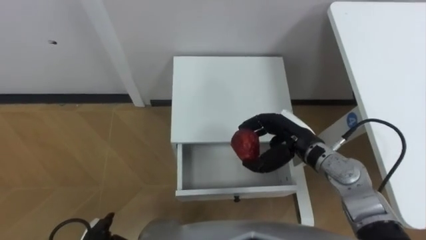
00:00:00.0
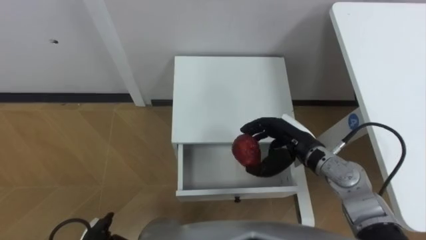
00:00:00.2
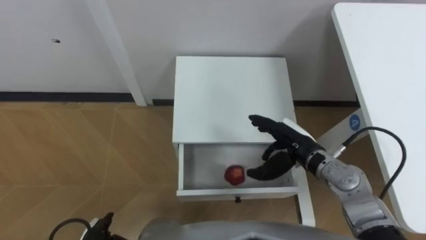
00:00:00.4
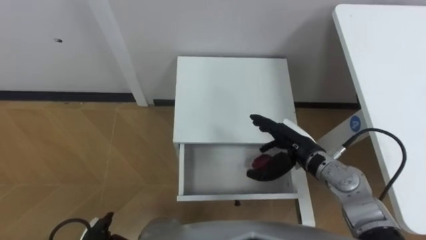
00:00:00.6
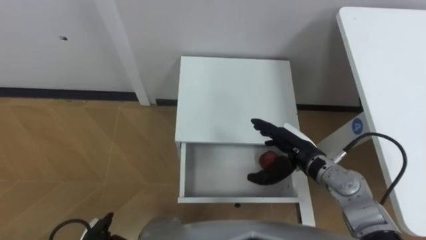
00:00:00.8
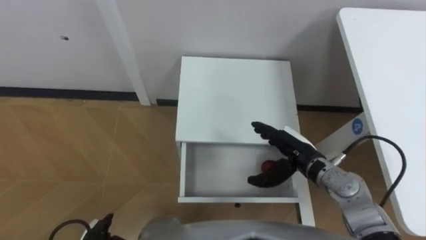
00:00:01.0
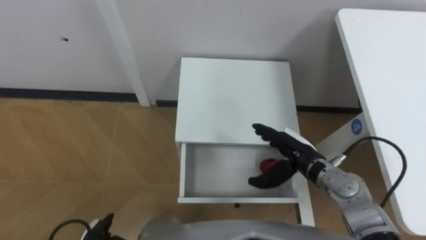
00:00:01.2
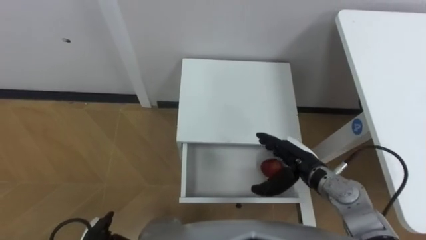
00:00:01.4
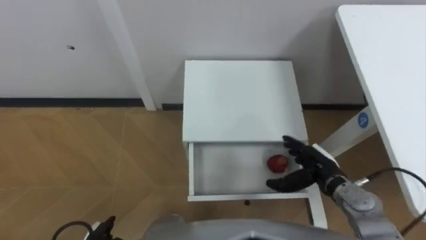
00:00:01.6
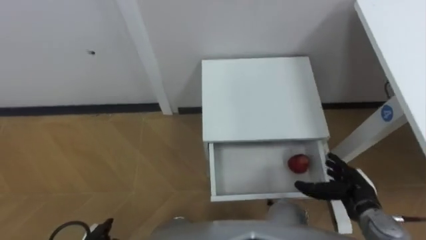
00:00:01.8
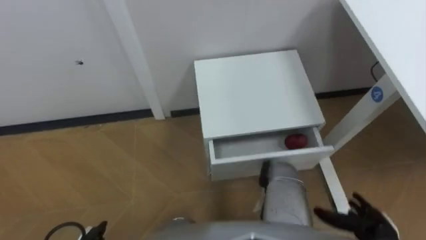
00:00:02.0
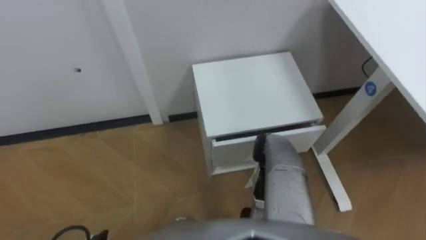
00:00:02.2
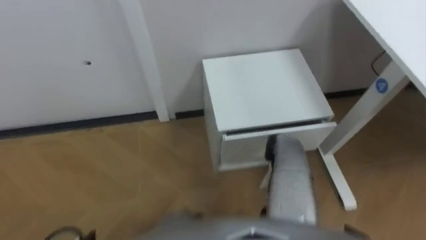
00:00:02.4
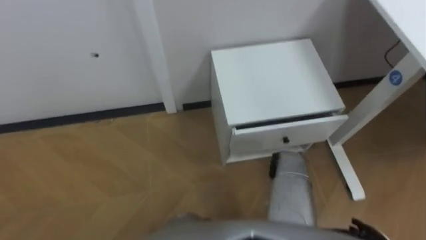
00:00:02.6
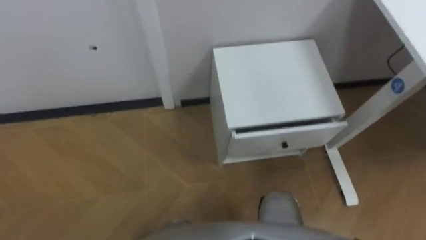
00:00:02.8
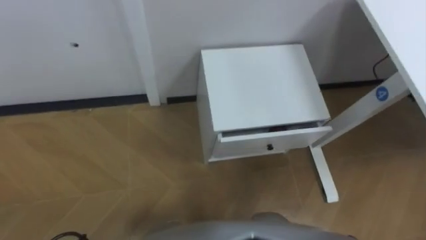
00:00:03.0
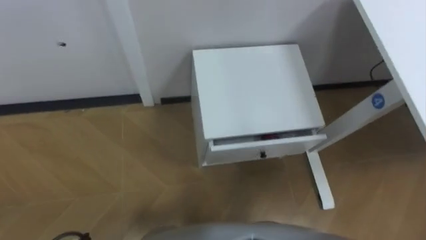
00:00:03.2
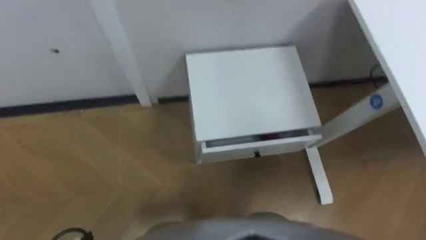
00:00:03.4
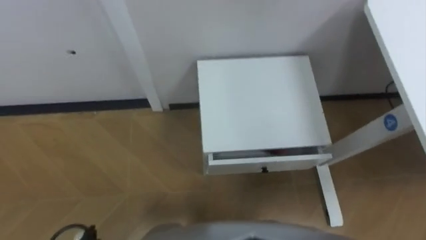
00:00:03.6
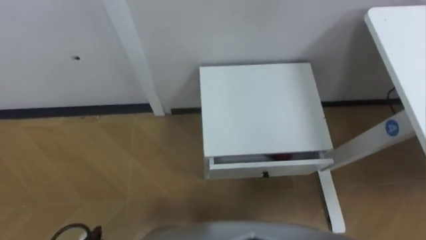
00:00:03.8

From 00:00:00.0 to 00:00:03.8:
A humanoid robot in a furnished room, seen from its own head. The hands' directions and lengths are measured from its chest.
Task of the whole recording: Pick up the apple from the table, put it in the drawer, and close the drawer with leg.
From 00:00:00.0 to 00:00:01.2: The right hand opens.

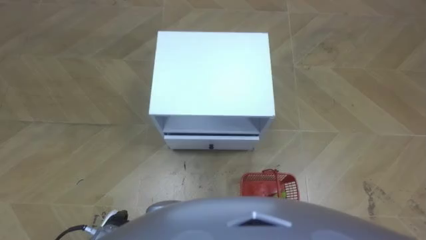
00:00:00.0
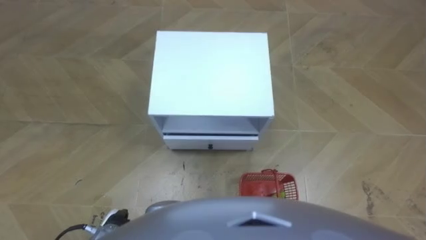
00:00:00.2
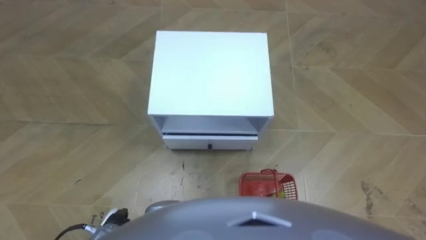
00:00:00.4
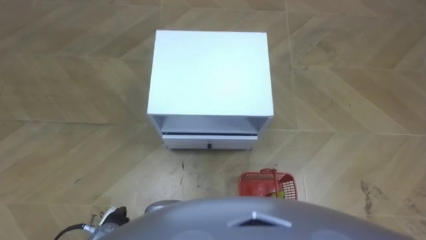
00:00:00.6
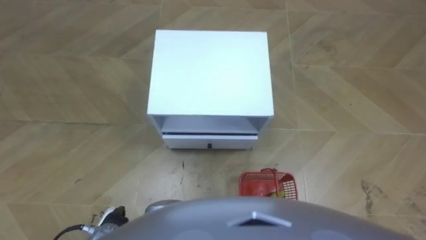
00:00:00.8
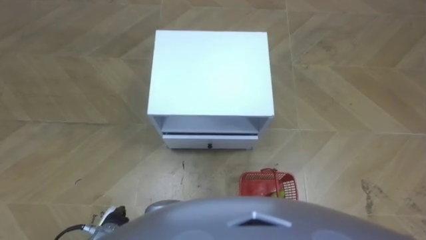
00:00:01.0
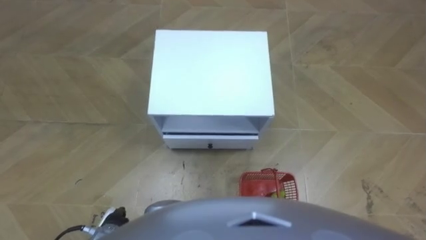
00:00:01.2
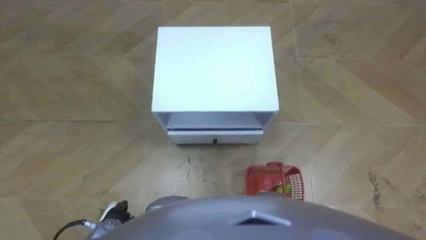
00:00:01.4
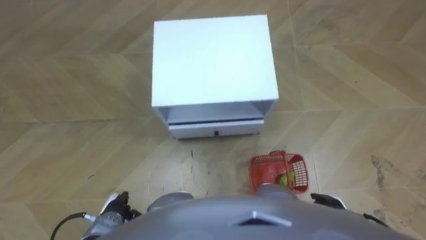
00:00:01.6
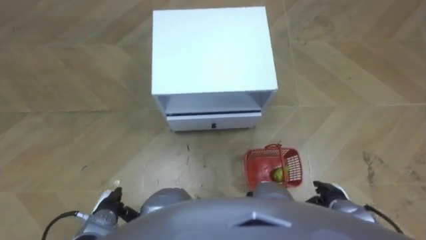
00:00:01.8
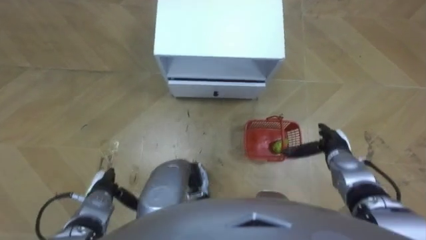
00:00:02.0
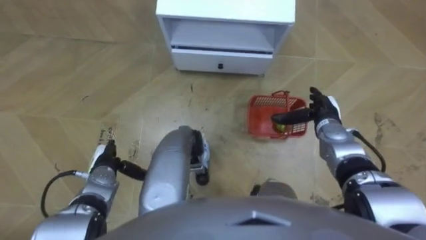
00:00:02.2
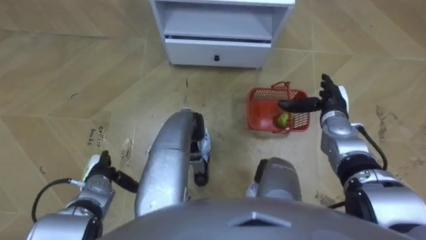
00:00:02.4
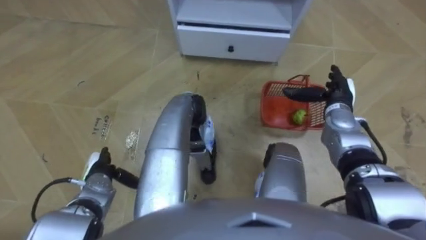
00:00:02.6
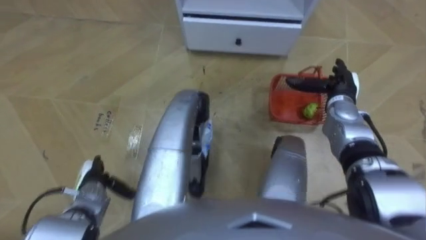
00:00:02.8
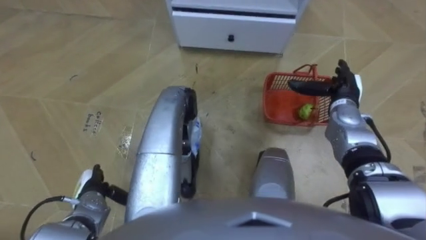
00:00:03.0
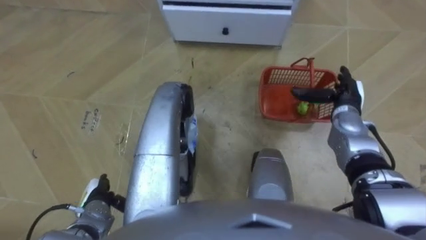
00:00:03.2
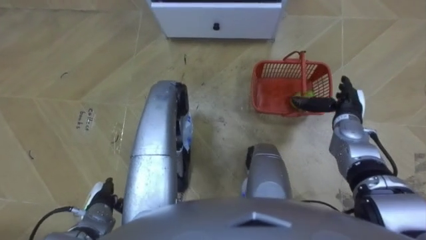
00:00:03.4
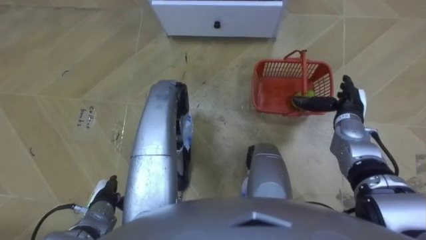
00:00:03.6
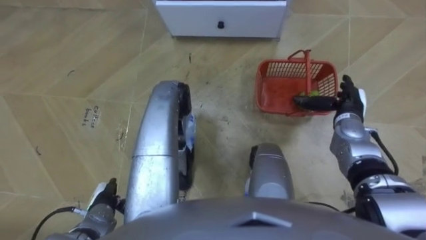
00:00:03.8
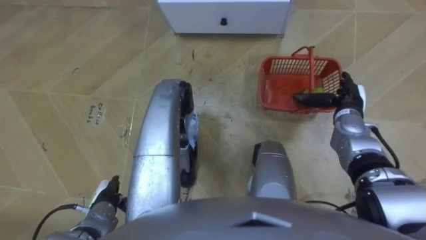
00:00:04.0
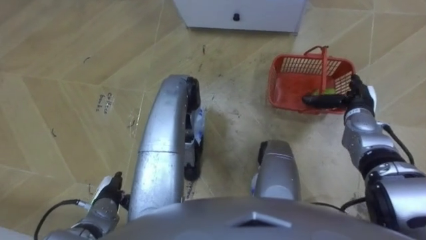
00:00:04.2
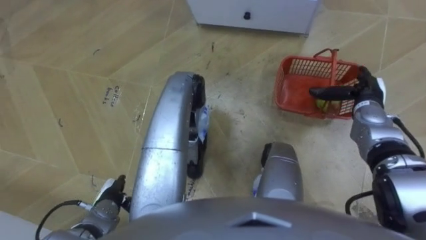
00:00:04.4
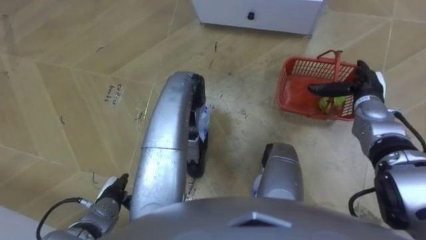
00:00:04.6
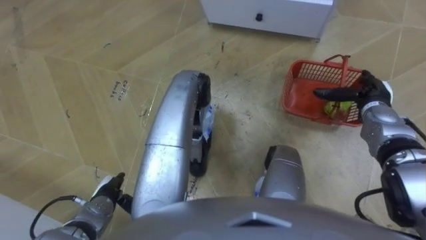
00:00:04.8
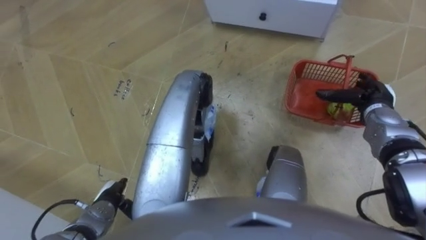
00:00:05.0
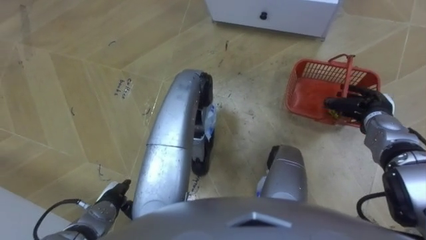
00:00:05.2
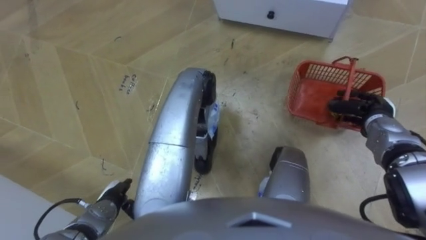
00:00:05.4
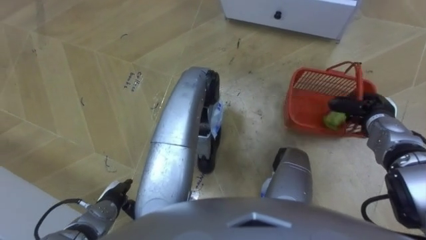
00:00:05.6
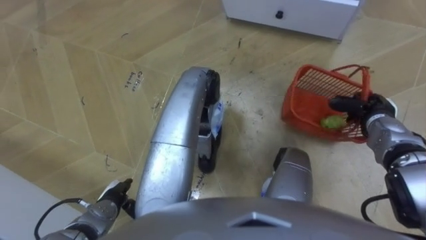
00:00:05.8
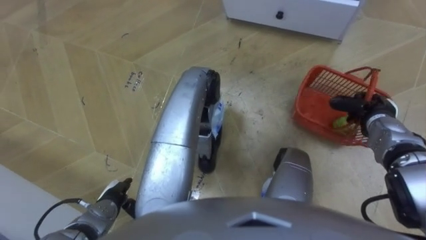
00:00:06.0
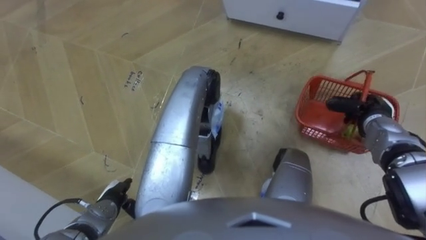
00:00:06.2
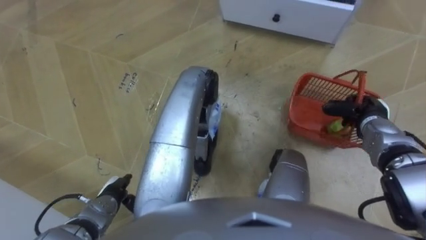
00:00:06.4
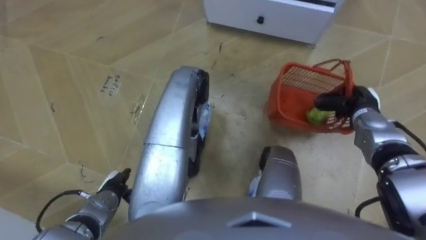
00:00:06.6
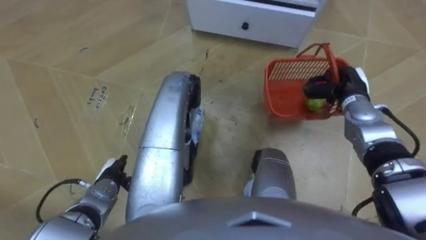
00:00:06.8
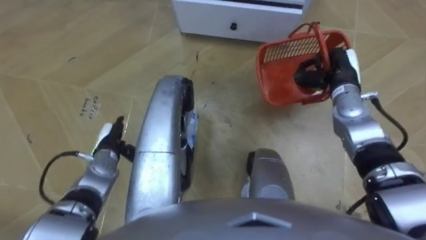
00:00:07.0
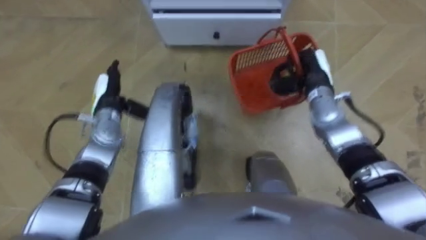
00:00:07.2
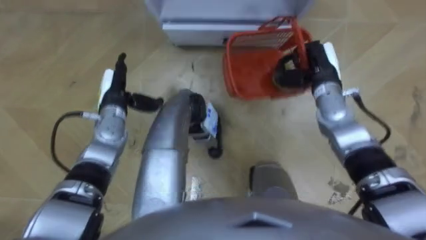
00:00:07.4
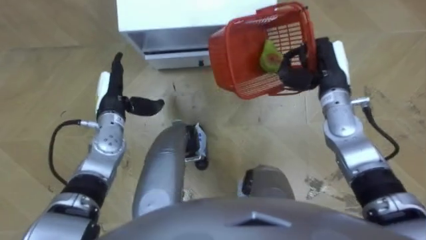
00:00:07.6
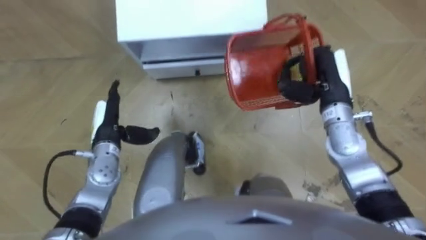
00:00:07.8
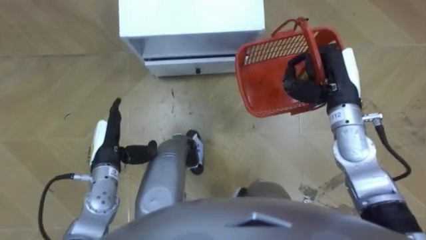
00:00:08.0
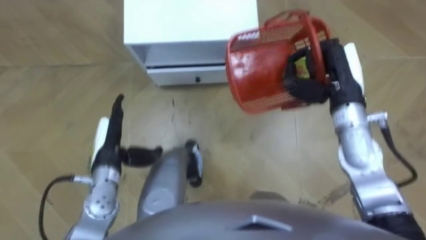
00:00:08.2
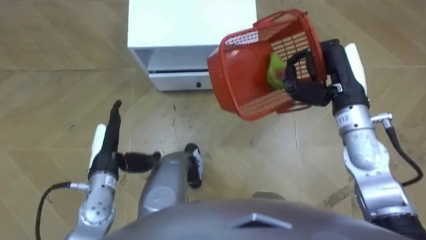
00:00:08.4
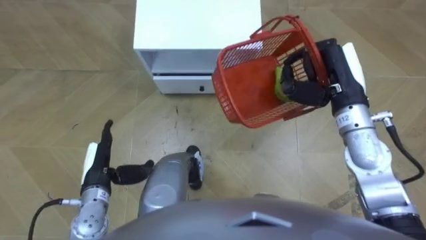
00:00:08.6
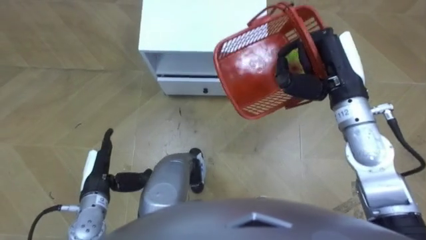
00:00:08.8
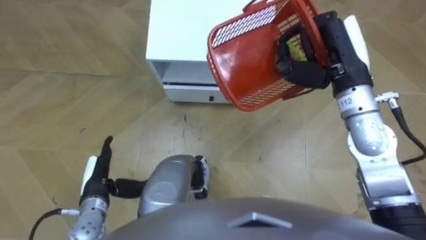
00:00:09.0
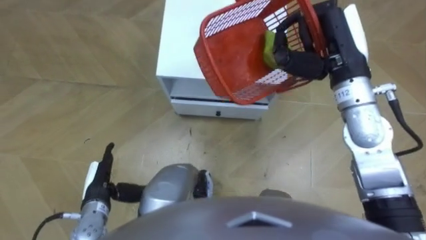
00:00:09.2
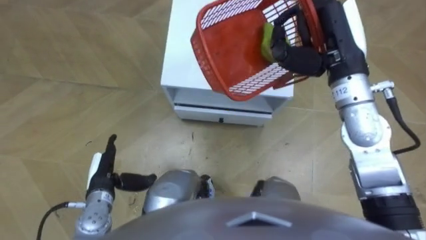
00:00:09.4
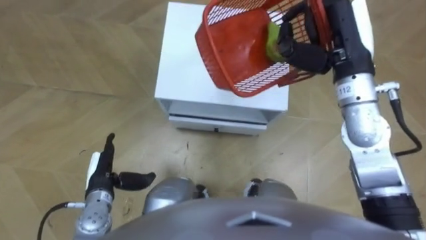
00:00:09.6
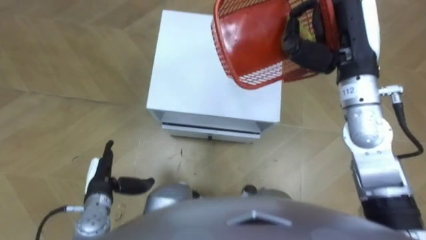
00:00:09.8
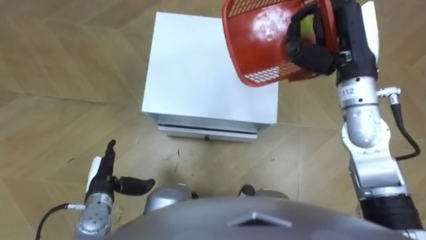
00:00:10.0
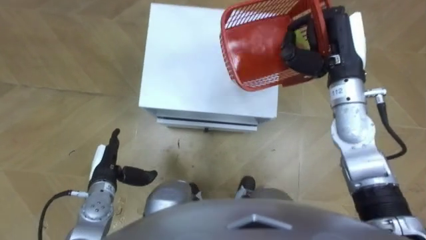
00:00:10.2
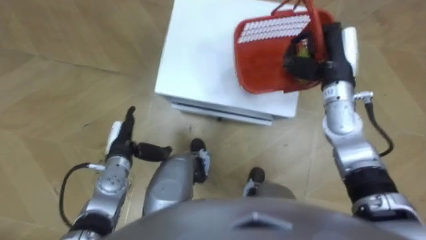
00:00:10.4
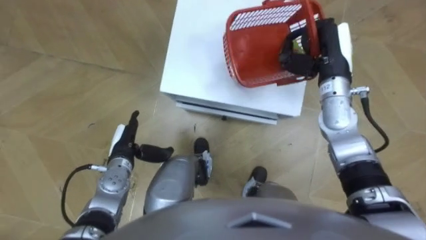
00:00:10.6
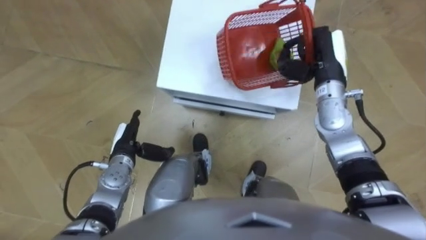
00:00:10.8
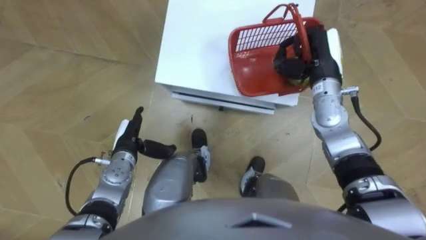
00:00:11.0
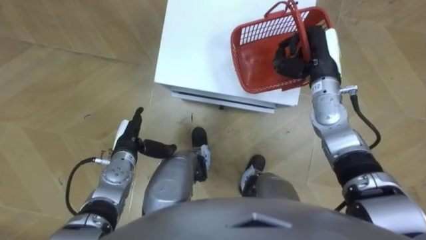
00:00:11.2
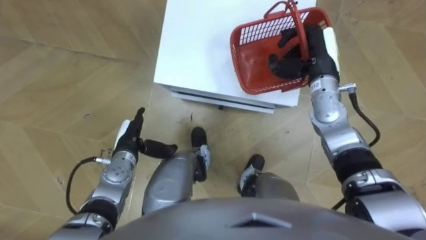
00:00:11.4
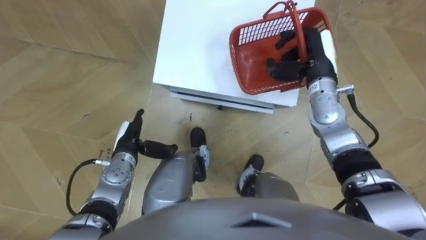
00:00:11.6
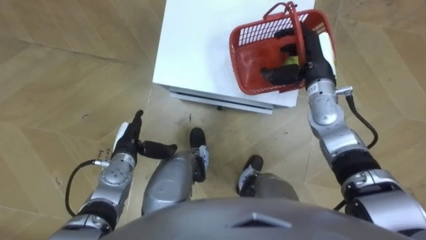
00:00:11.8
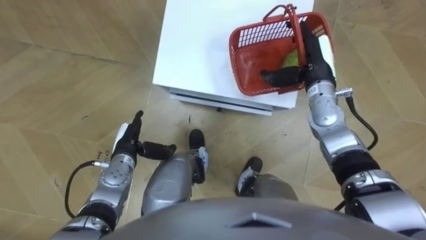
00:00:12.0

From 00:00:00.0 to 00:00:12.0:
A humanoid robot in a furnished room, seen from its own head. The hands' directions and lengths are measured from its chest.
Task of the whole recording: Pick up the fruit basket from the floor and place it on the cabinet.
From 00:00:01.6 to 00:00:03.0: The right hand travels forward and upward by about 30 cm. Meanwhile the left hand moves forward, some 5 cm.
From 00:00:03.0 to 00:00:04.4: The left hand changes place by some 5 cm.
From 00:00:04.4 to 00:00:06.0: The right hand closes.
From 00:00:06.0 to 00:00:07.6: The robot rotates about 20 degrees to its right. The left hand travels forward and upward by roughly 25 cm; the right hand shifts some 15 cm to the left, upward and forward.
From 00:00:07.6 to 00:00:09.0: The left hand moves backward, approximately 15 cm. The right hand travels upward by about 10 cm.
From 00:00:09.0 to 00:00:10.4: The left hand is displaced forward by roughly 10 cm. The right hand moves downward, roughly 5 cm.
From 00:00:10.4 to 00:00:12.0: The right hand changes place by some 5 cm, and opens up.

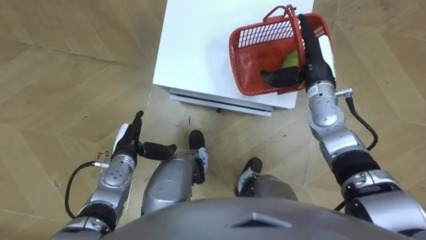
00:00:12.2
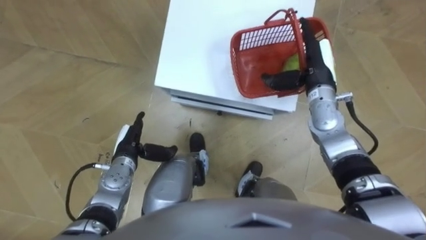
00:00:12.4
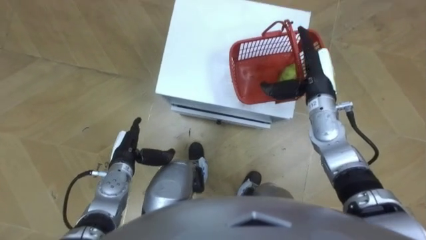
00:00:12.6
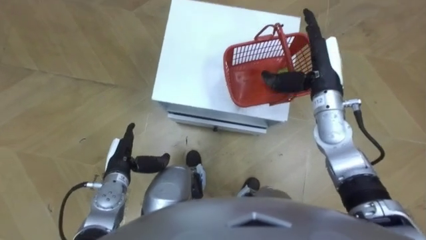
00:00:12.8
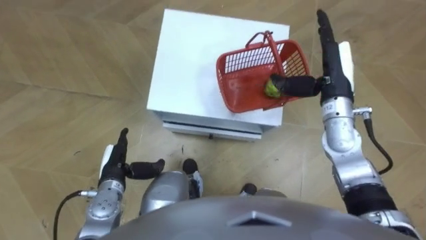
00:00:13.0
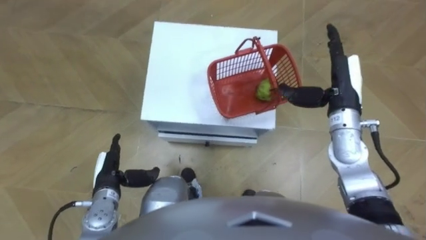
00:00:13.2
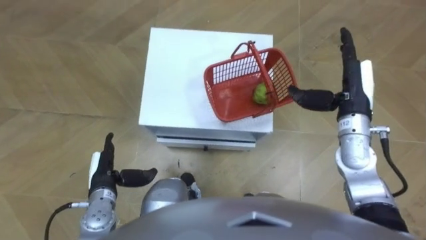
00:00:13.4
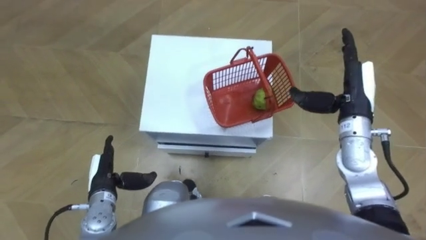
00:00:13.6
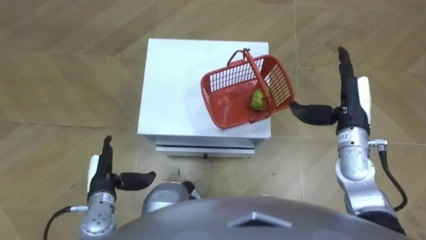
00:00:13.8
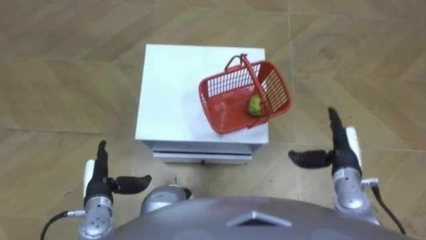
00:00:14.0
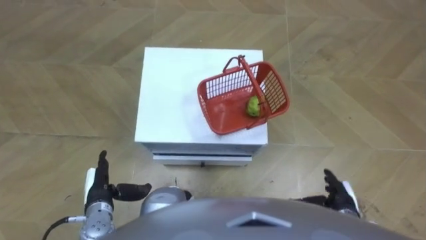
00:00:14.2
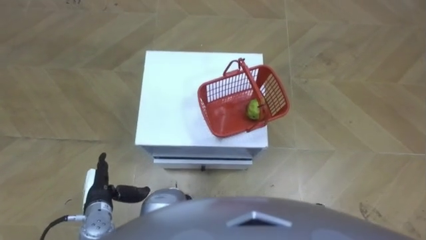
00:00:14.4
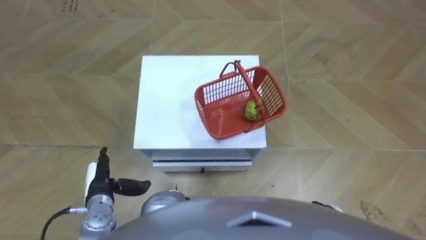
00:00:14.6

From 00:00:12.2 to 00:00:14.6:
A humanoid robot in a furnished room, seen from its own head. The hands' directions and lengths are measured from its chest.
Task of the whole recording: Pick up the fruit basket from the floor and place it on the cabinet.
From 00:00:12.2 to 00:00:13.4: The left hand shifts some 5 cm backward. Meanwhile the right hand is displaced backward and to the right by roughly 10 cm.
From 00:00:13.4 to 00:00:14.6: The right hand moves backward and downward, some 30 cm.
